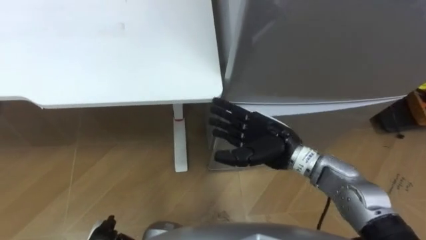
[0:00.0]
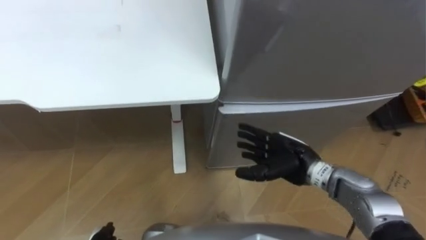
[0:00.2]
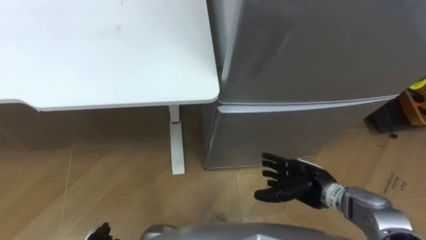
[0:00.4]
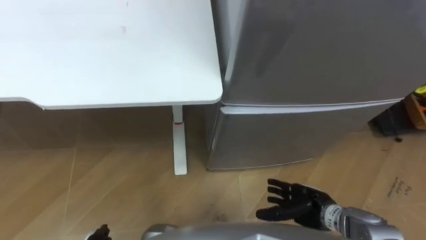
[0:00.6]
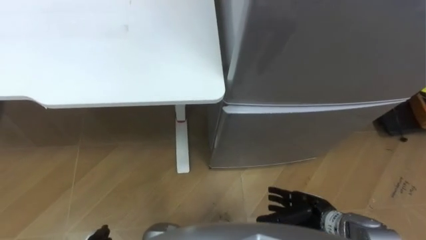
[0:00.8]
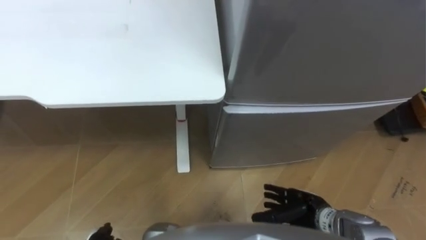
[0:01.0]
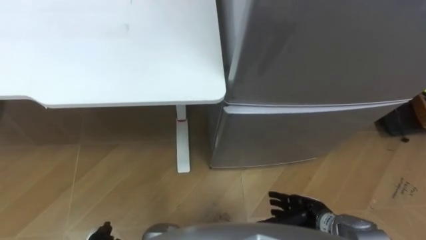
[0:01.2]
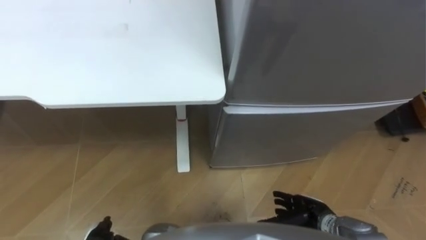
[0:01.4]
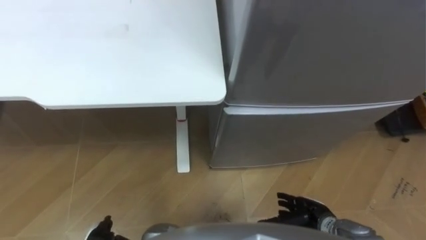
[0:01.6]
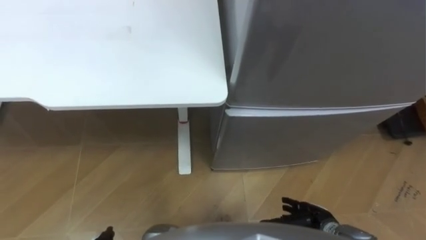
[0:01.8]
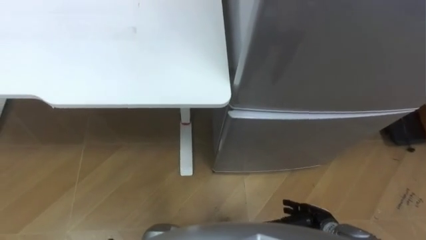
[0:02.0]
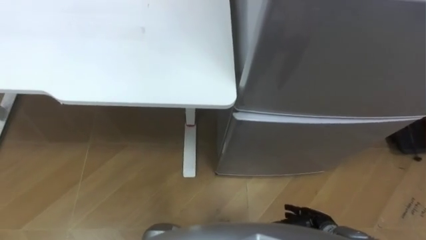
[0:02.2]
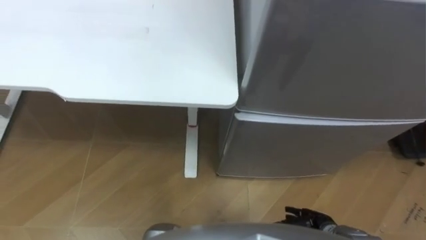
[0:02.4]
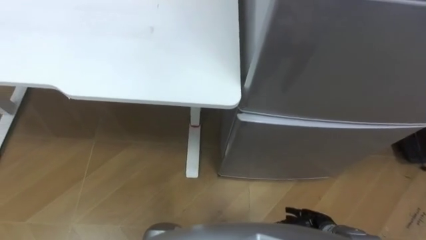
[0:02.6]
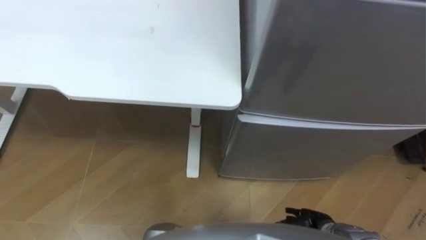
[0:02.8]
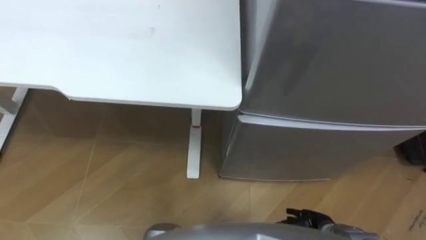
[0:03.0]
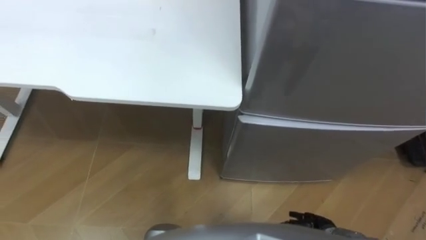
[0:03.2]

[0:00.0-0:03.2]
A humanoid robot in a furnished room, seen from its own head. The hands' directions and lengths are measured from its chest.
Task of the whole recording: Place the drink on the table on the bottom shelf of the refrigerator, then close the drawer and the refrigerator door.
0:00.0 to 0:01.6: The right hand travels downward, backward and to the right by roughly 25 cm.

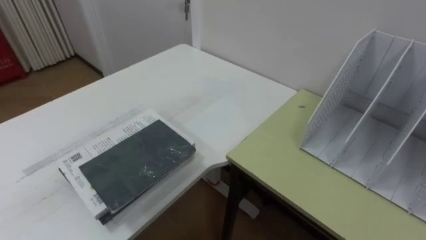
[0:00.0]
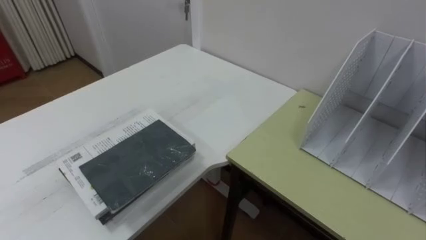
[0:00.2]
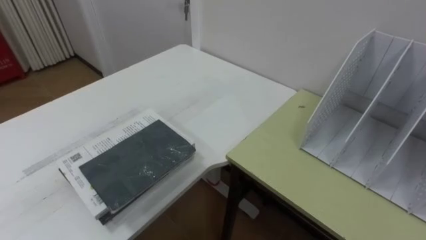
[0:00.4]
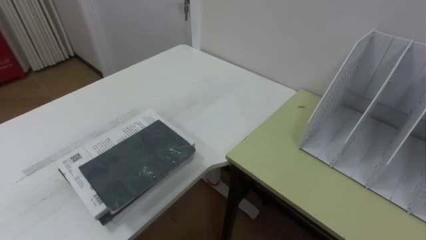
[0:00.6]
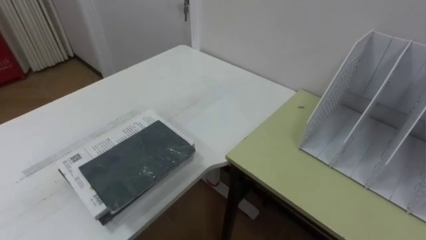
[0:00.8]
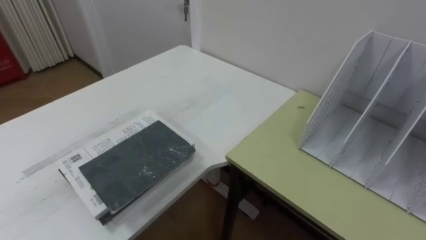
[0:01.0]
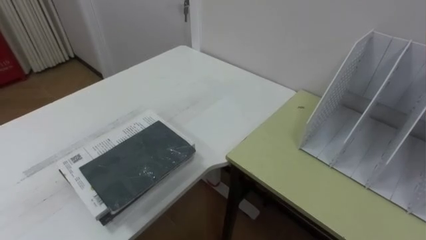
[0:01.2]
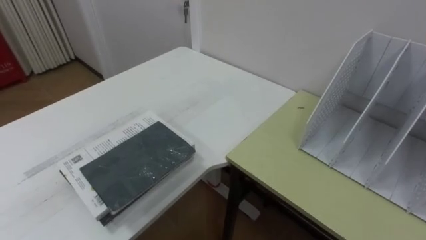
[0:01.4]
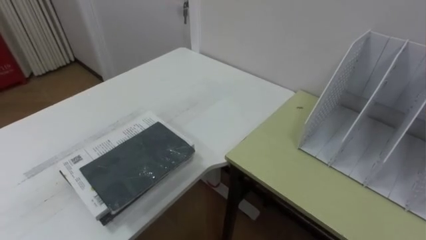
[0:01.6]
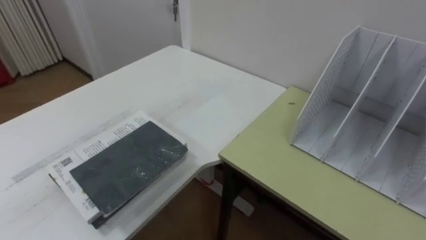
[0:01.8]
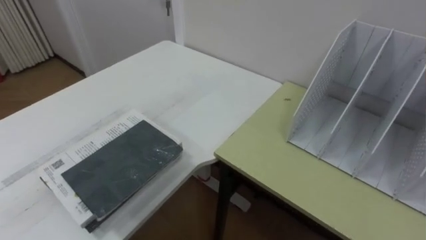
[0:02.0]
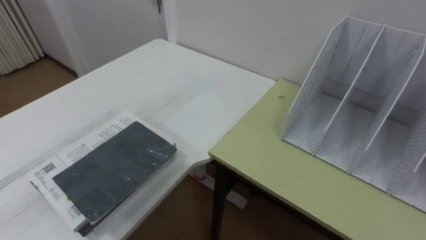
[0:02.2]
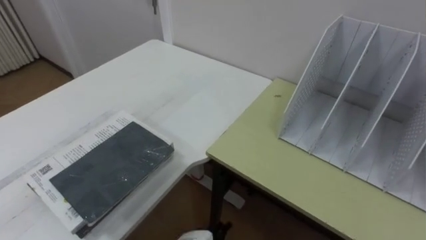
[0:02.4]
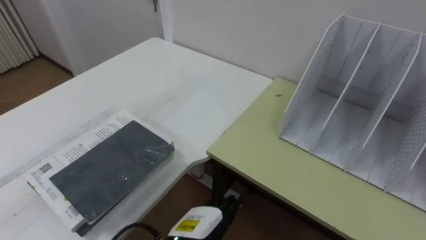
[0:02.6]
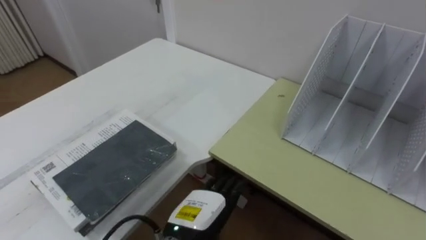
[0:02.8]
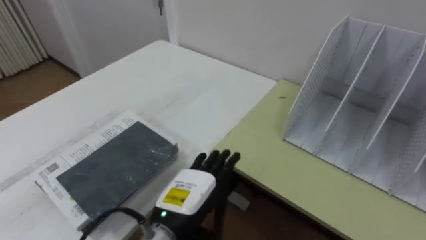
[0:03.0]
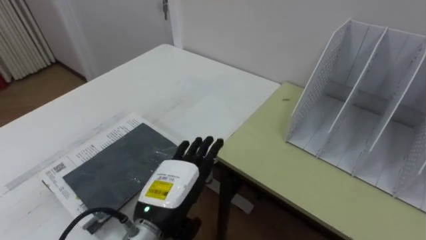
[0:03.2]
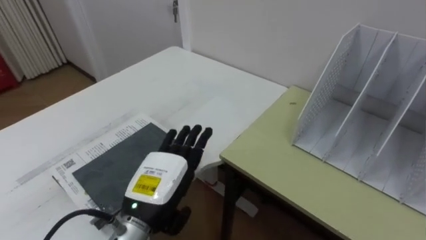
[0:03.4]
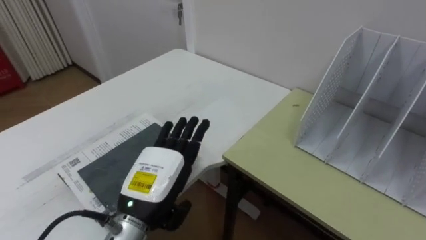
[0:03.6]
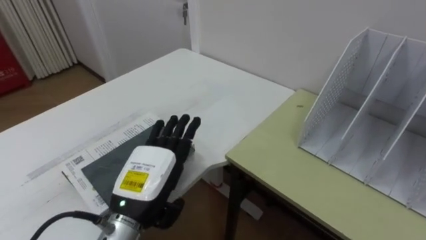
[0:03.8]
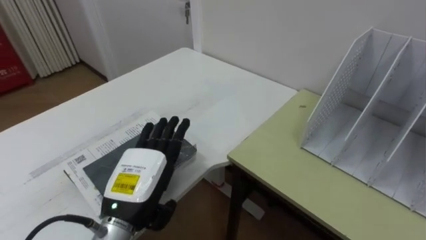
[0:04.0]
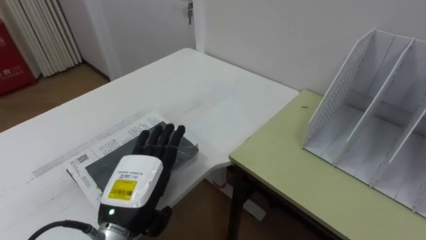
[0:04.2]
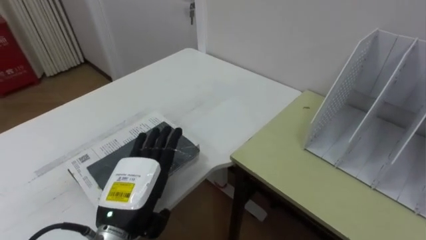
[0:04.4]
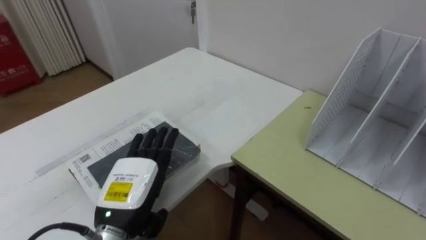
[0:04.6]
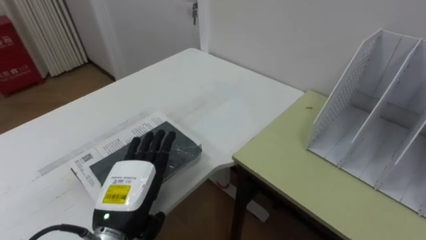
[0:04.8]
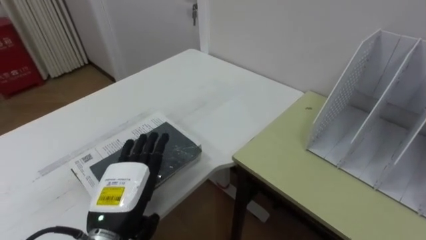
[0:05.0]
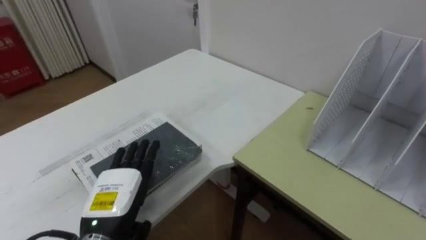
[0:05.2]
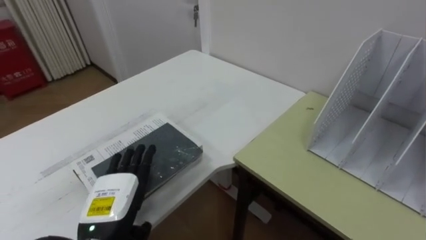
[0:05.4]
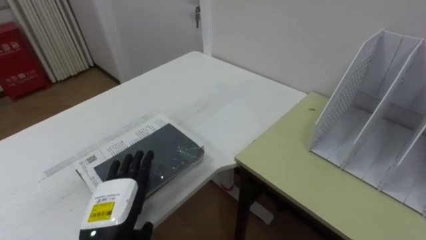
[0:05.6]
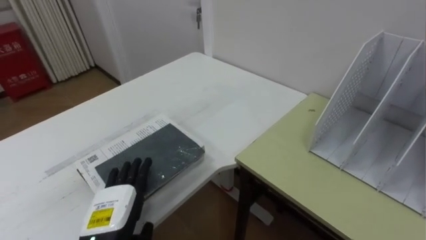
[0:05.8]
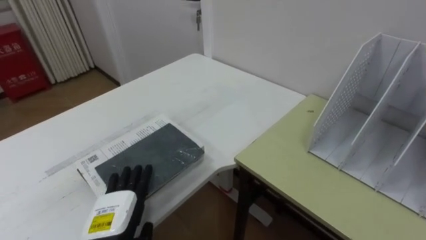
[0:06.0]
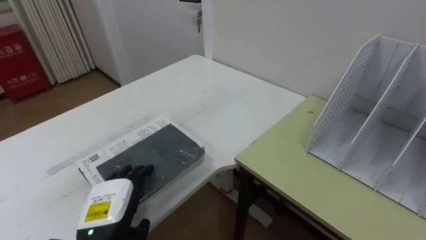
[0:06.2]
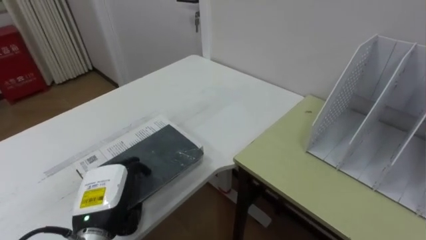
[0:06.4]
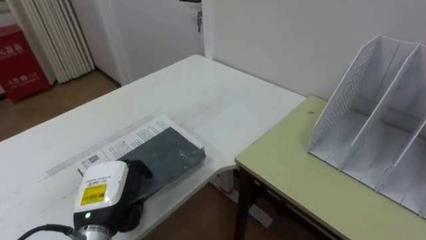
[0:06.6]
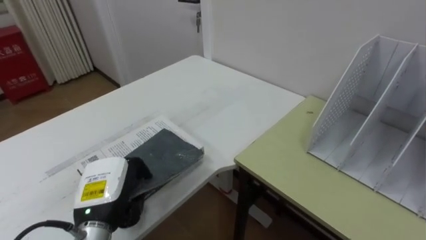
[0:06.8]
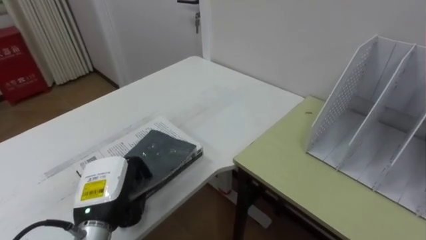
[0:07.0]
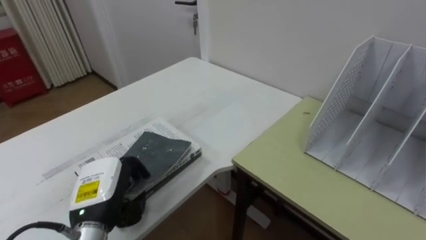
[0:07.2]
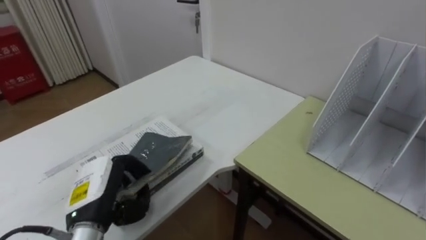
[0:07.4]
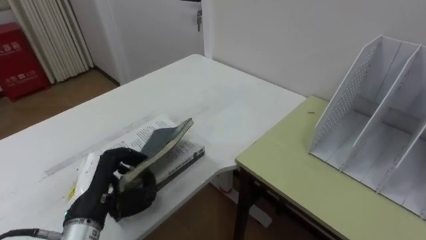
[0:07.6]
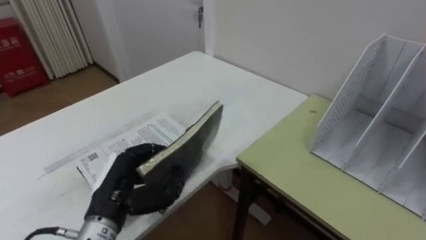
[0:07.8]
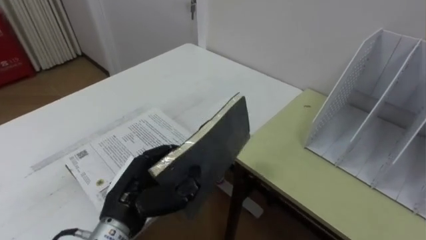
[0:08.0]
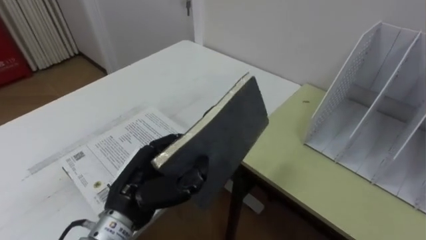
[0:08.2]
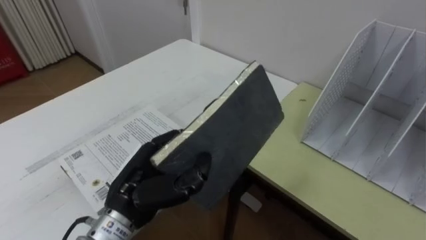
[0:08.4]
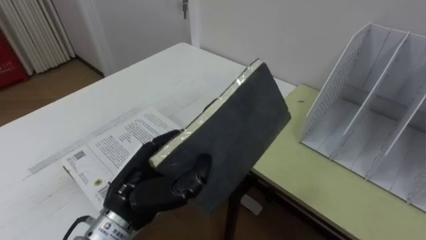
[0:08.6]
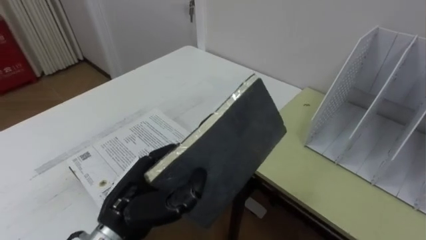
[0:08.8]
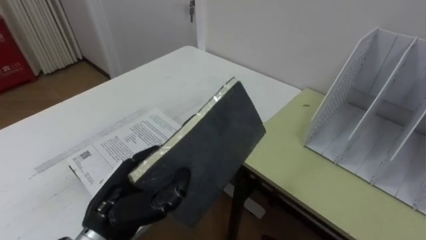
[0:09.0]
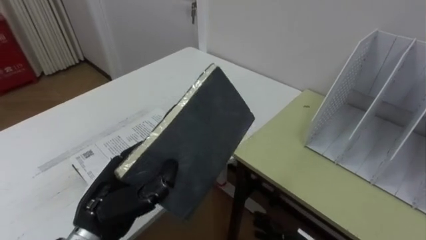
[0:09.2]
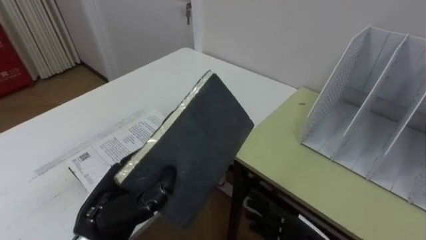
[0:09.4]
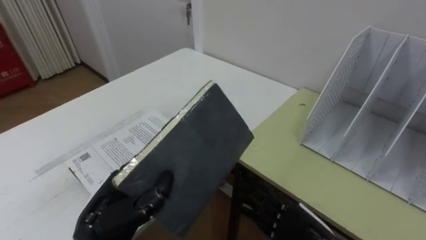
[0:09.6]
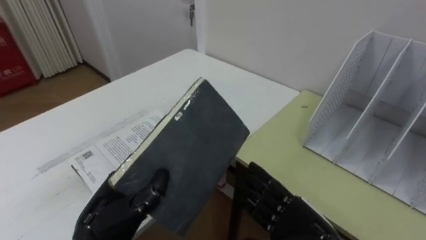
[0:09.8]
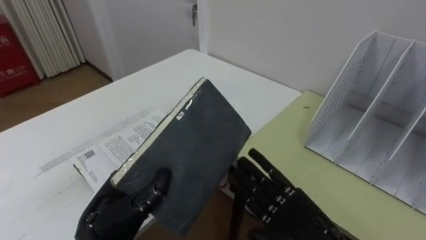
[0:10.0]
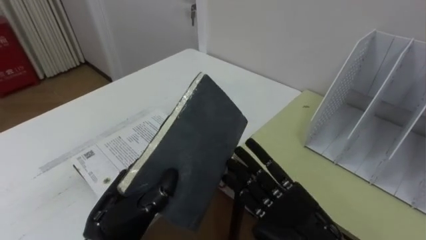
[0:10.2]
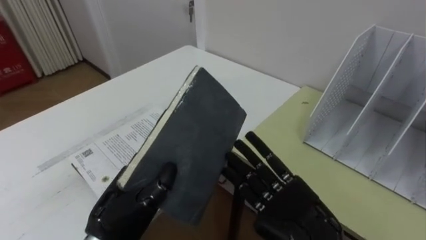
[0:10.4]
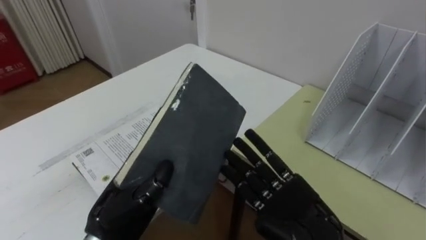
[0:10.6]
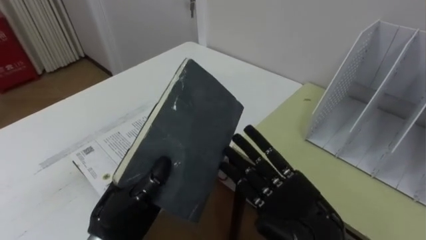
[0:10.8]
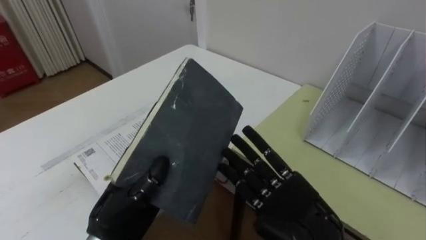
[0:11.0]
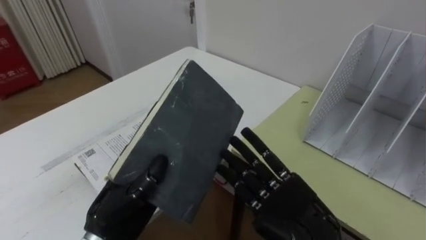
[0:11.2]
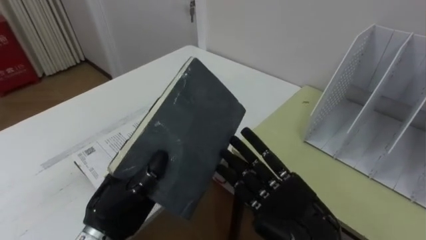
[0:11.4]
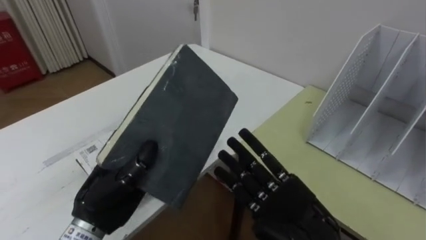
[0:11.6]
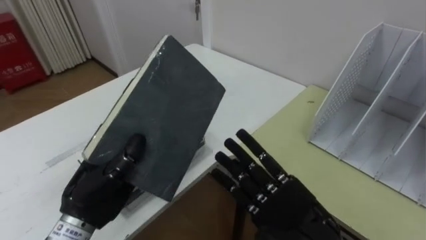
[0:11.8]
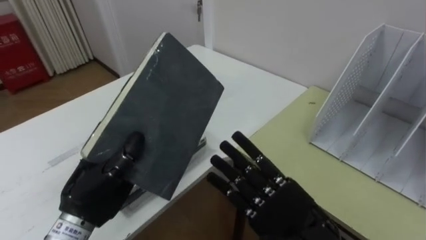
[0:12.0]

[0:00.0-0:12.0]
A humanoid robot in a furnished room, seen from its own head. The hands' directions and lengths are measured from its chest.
Task of the whole recording: Put the books on the table onto the bookshelf.
0:03.0 to 0:04.4: The left hand travels to the left by some 10 cm.
0:04.4 to 0:06.0: The left hand shifts some 5 cm downward.
0:06.0 to 0:07.6: The left hand goes about 5 cm upward, and closes.
0:07.6 to 0:09.0: The left hand travels to the right by approximately 5 cm.
0:10.4 to 0:12.0: The left hand shifts by approximately 5 cm.

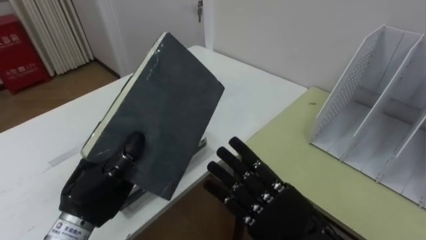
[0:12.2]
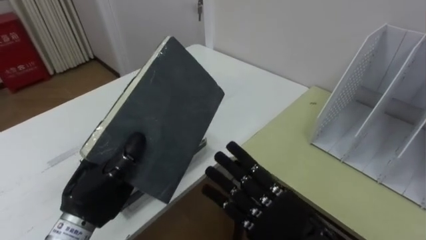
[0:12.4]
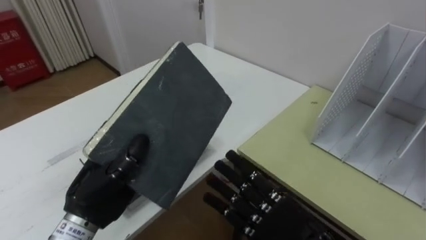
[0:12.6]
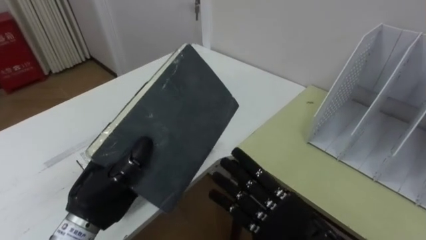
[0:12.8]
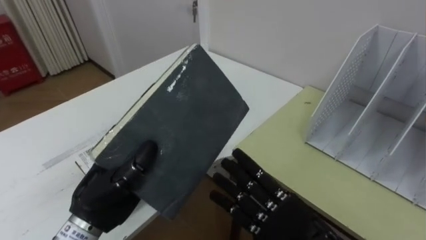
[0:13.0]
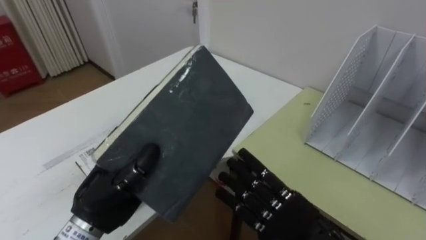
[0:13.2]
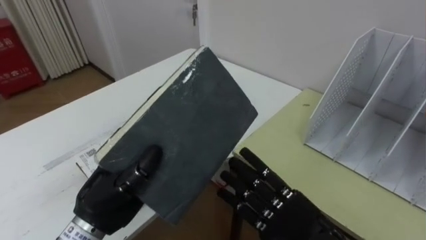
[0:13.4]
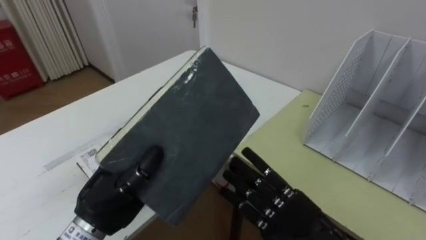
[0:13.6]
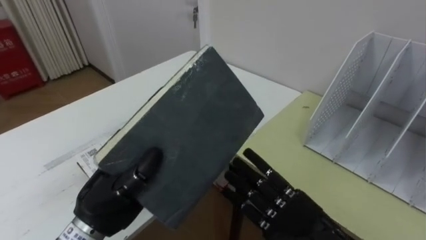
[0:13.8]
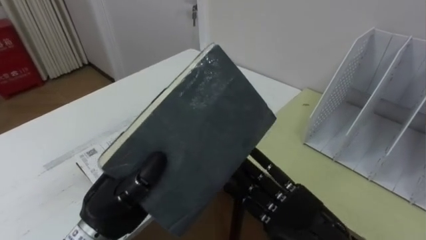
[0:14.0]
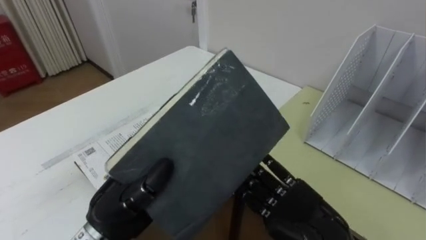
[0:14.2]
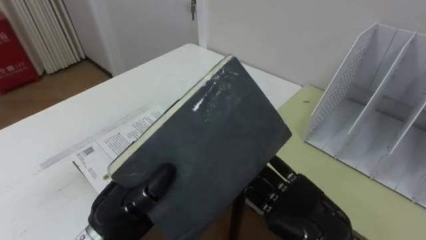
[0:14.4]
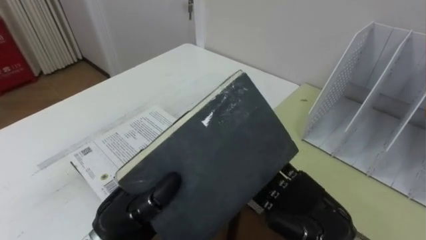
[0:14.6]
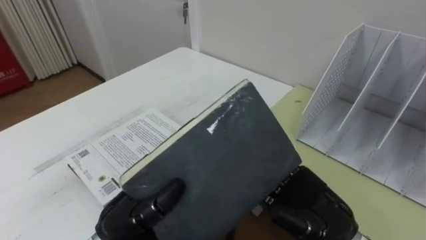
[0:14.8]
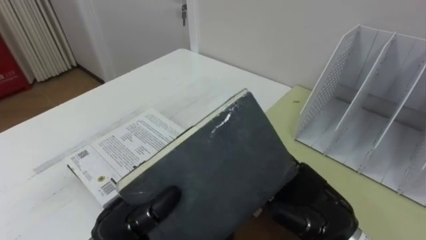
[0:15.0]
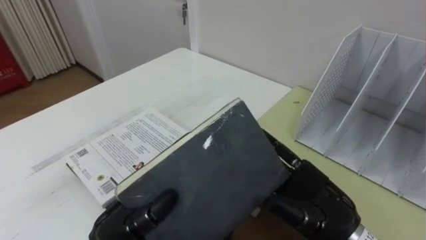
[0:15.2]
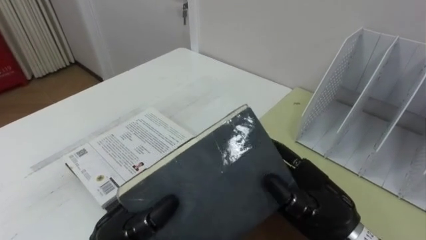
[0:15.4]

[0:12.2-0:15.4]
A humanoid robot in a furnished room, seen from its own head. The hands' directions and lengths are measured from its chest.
Task of the whole recording: Put the books on the table onto the bookshelf.
0:13.8 to 0:15.4: The right hand closes, while the left hand ends up approximately 5 cm from where it was.
